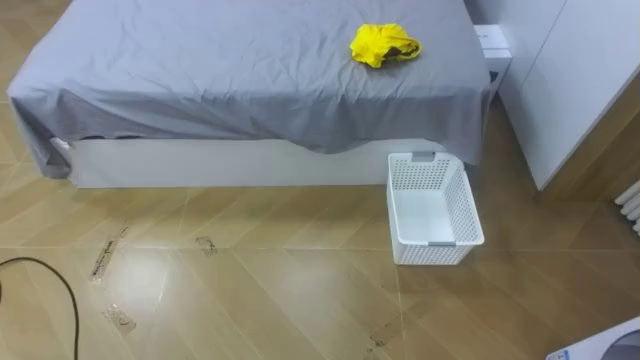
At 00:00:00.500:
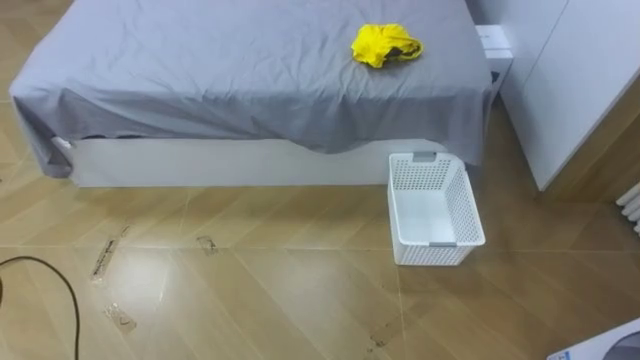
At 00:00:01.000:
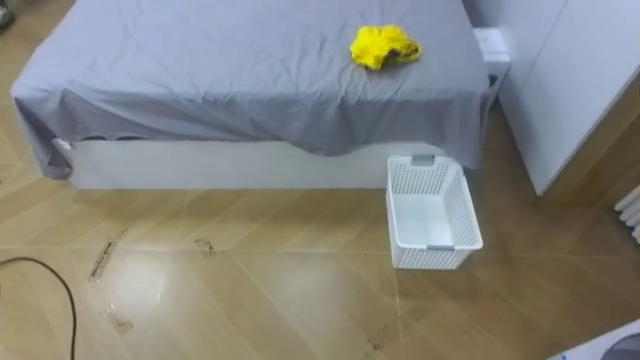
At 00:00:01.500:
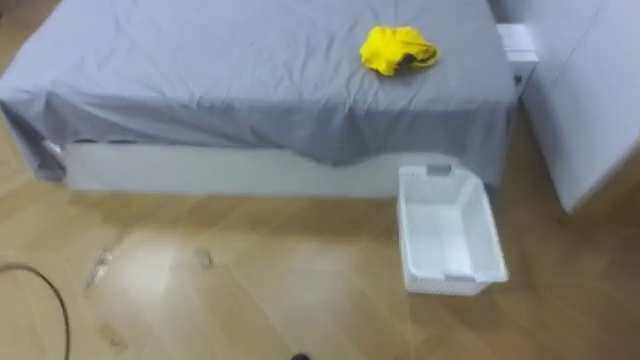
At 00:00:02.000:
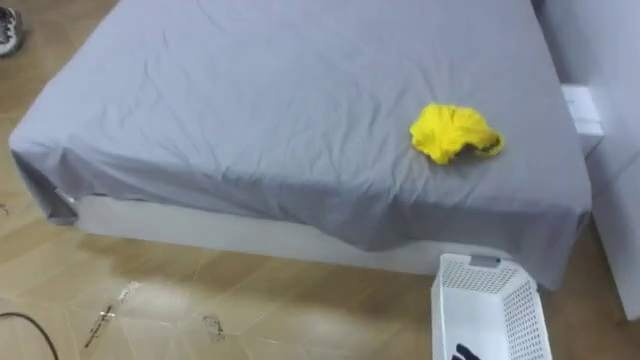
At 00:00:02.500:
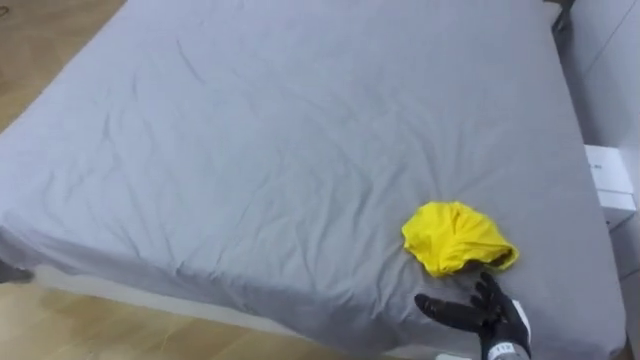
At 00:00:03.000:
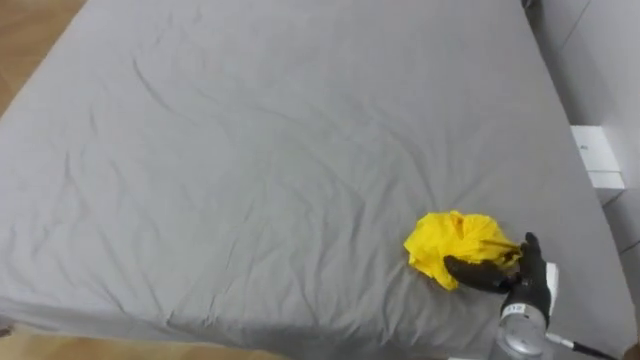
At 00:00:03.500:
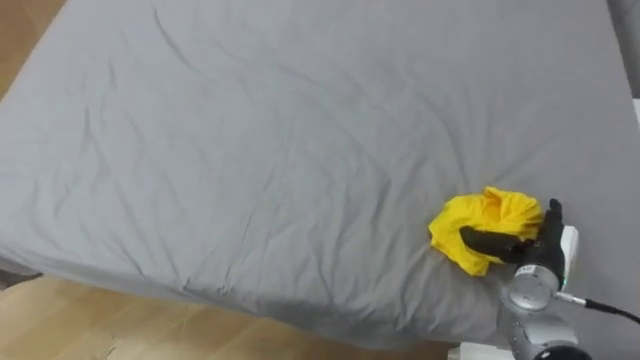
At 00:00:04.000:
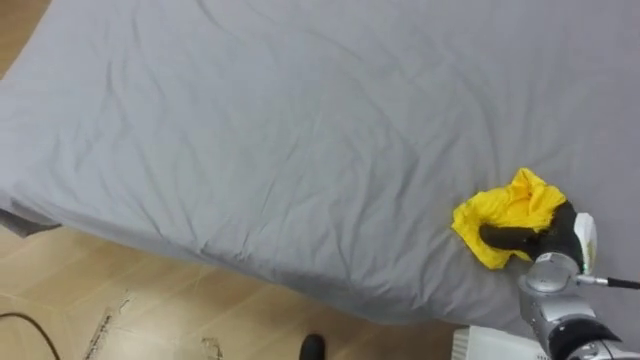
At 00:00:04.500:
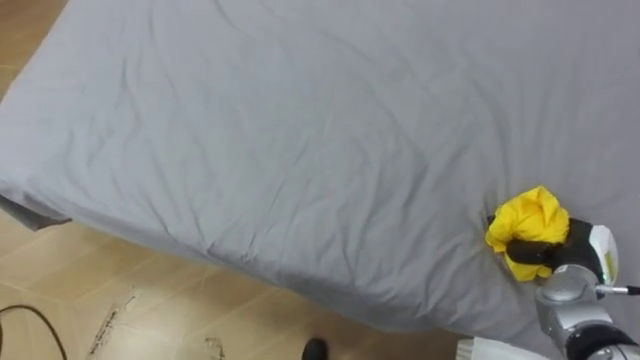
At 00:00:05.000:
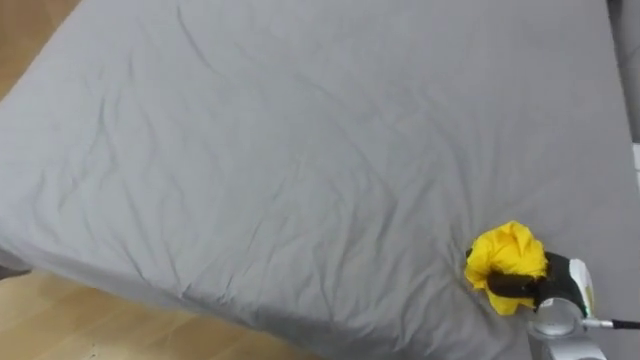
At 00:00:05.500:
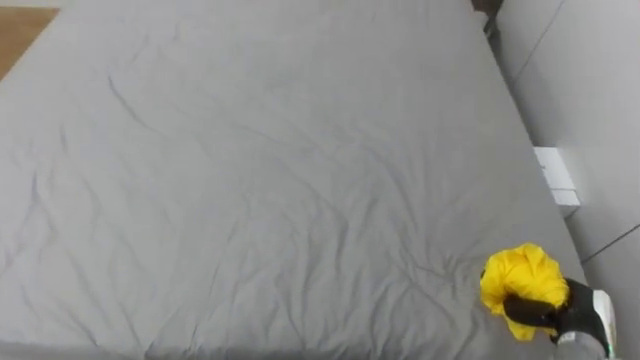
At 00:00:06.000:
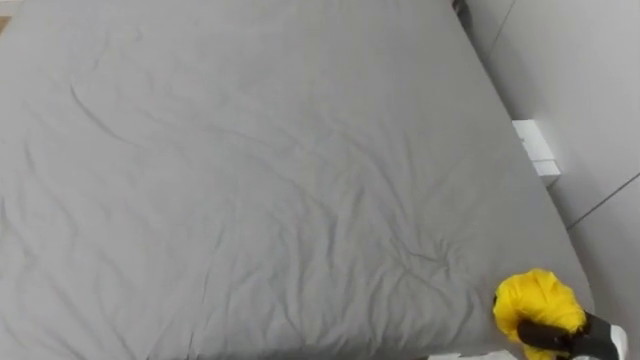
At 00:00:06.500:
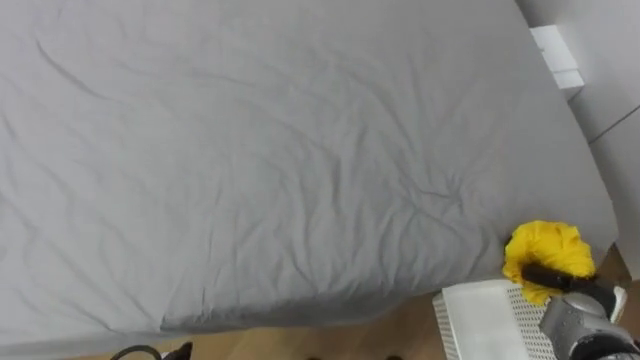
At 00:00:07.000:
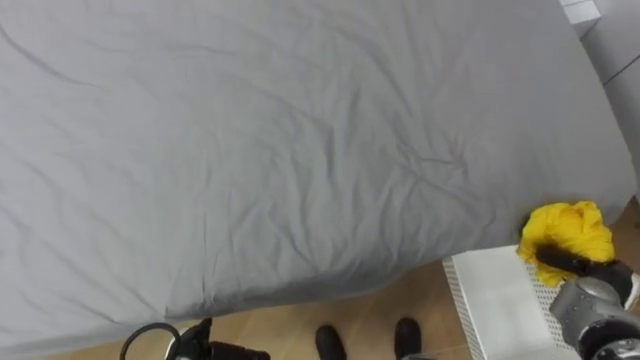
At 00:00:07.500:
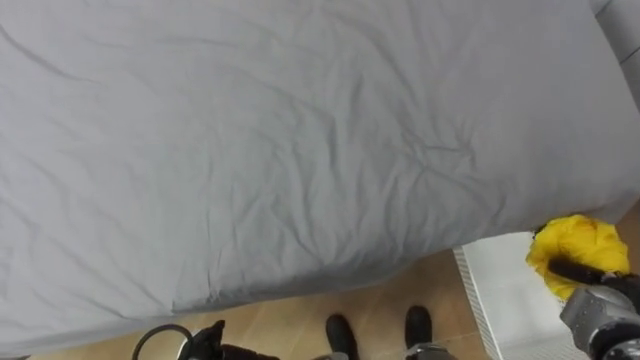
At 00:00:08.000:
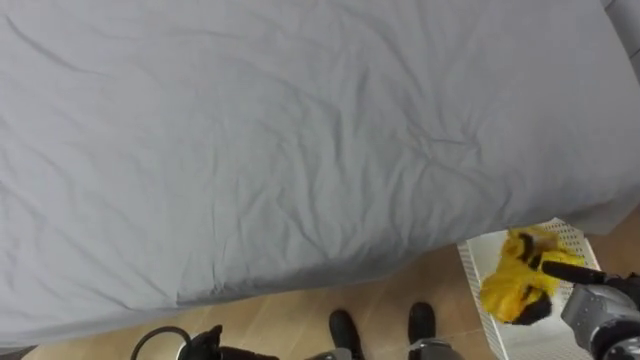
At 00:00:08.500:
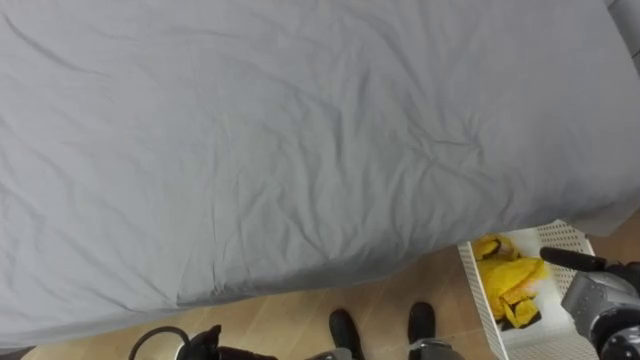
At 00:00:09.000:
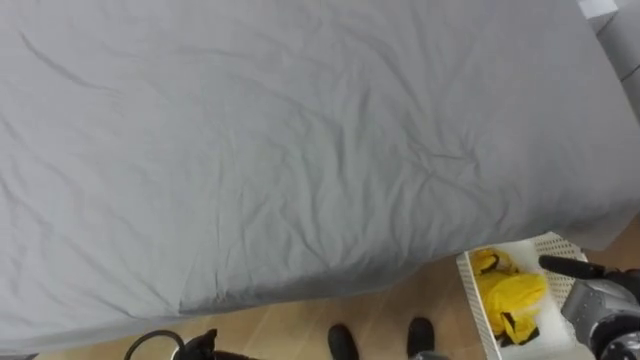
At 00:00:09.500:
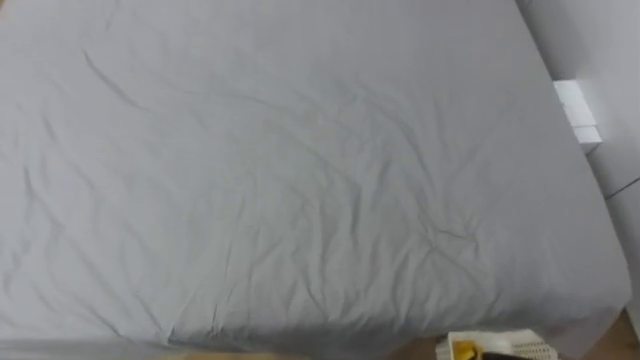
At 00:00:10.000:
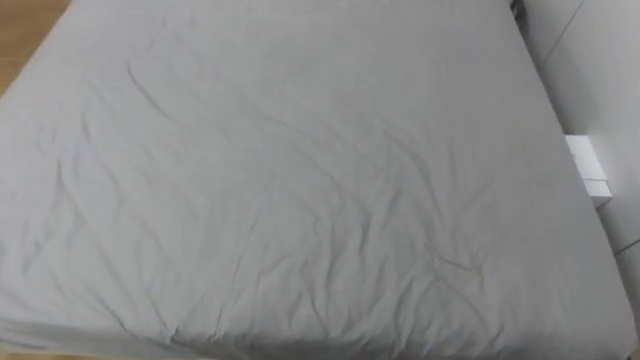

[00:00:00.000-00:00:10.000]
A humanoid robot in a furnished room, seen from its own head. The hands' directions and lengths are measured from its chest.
Task of the whole recording: Pick up the yellow clothes on the bed and place them into the white basket on the right.
00:00:04.000 to 00:00:06.000: The right hand heads backward and downward, covering about 15 cm, and closes.
00:00:06.000 to 00:00:08.000: The right hand goes about 5 cm forward, and opens.

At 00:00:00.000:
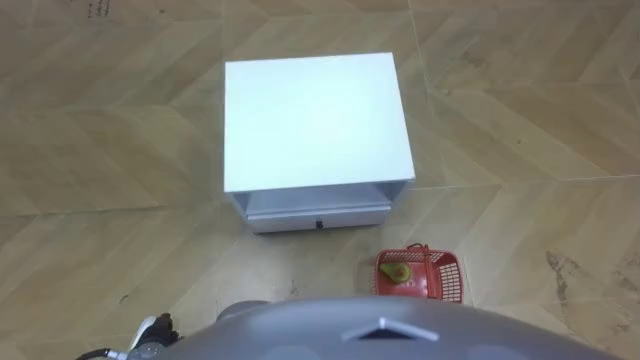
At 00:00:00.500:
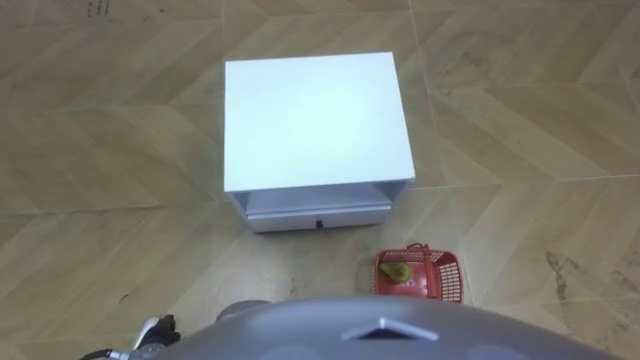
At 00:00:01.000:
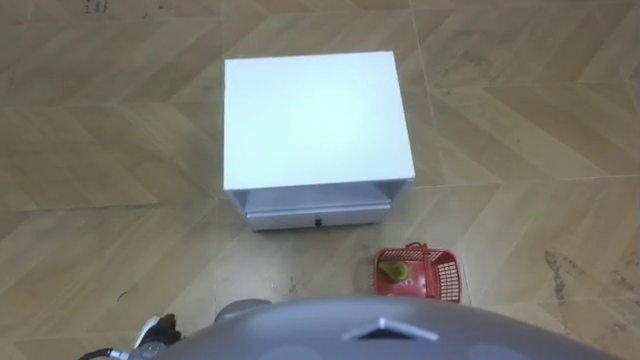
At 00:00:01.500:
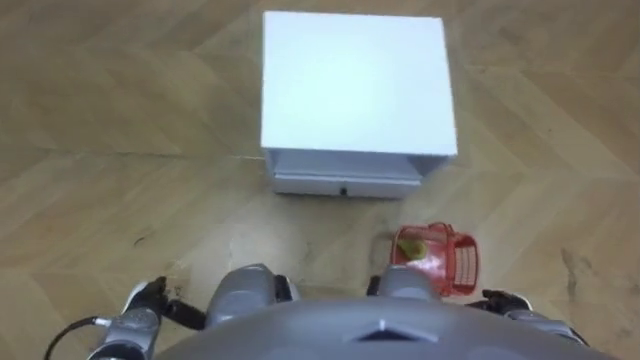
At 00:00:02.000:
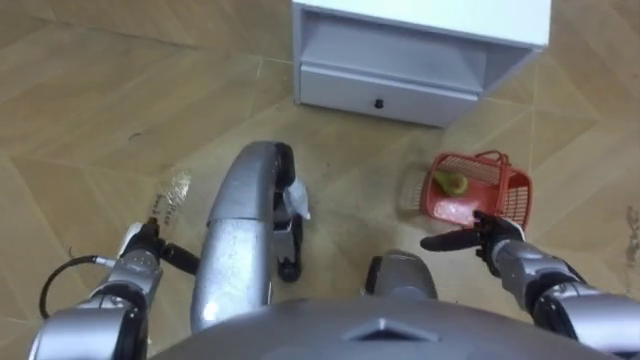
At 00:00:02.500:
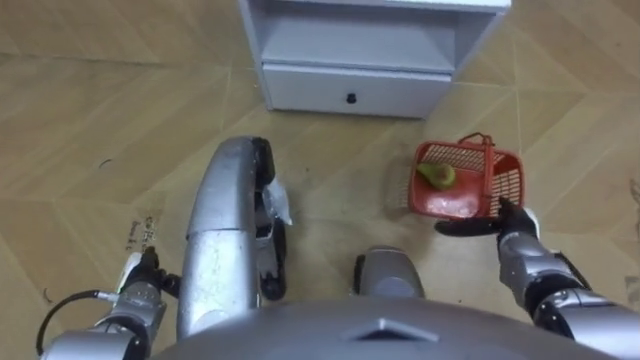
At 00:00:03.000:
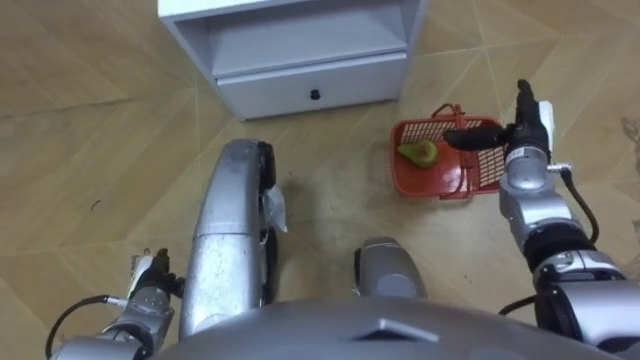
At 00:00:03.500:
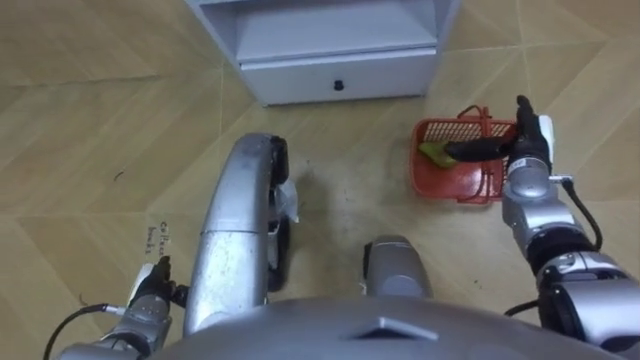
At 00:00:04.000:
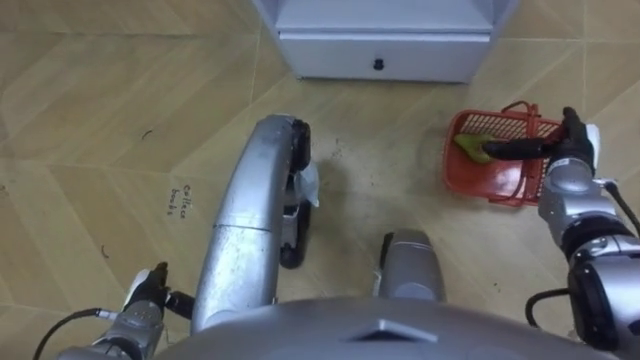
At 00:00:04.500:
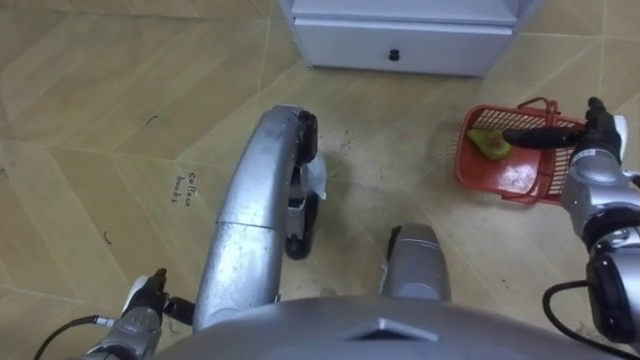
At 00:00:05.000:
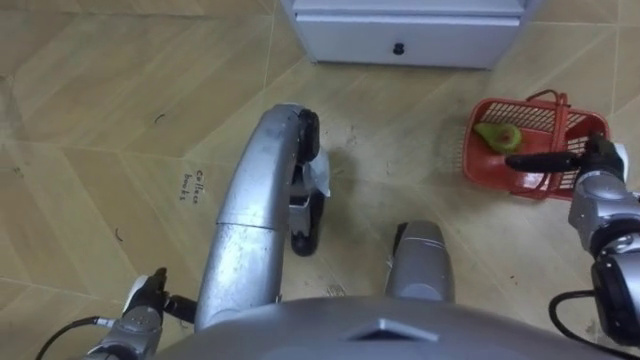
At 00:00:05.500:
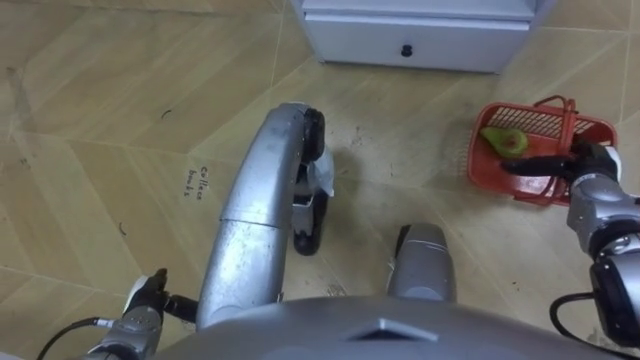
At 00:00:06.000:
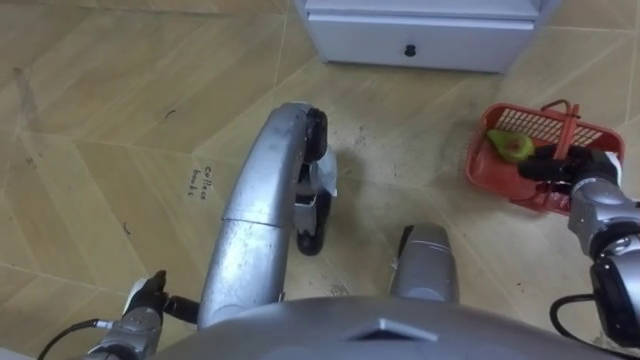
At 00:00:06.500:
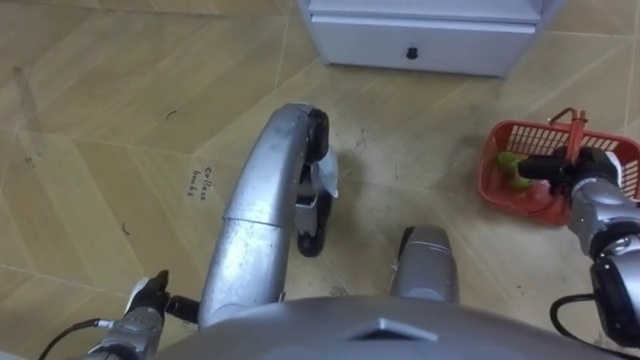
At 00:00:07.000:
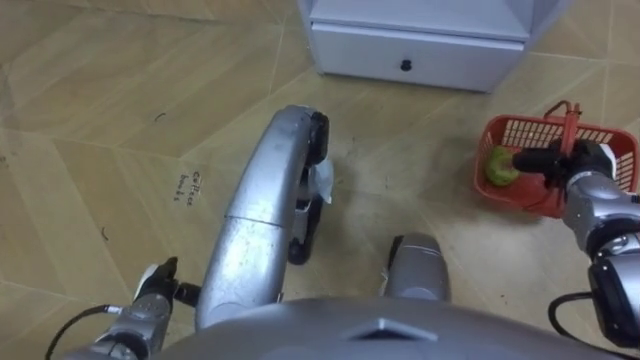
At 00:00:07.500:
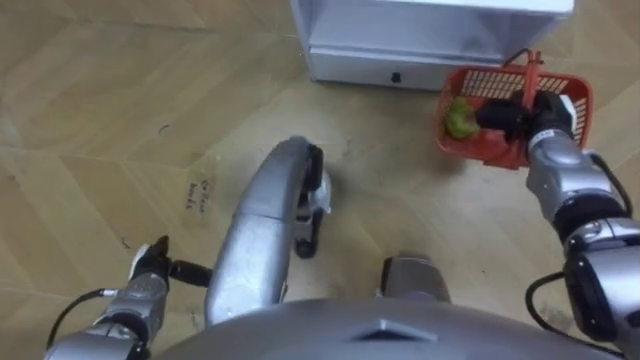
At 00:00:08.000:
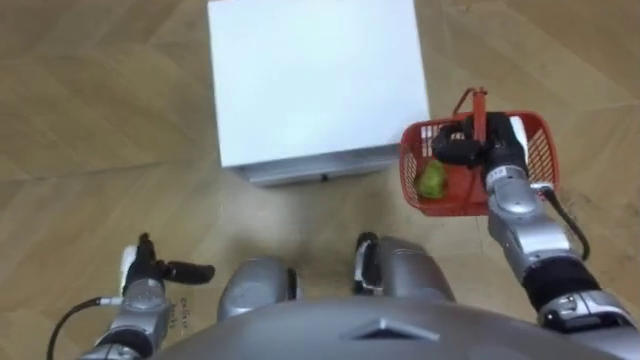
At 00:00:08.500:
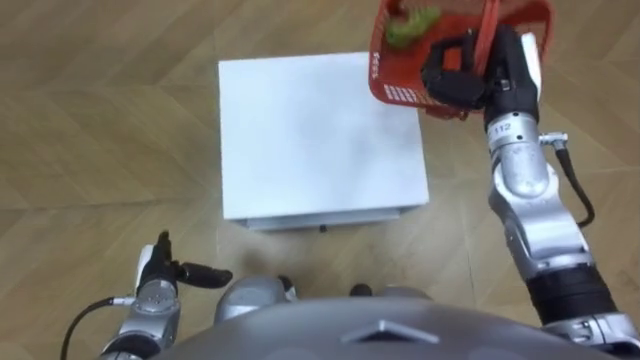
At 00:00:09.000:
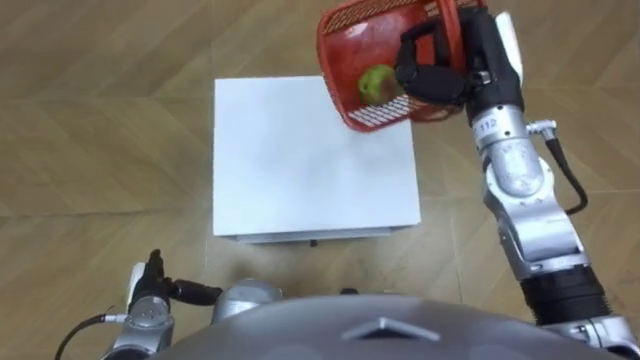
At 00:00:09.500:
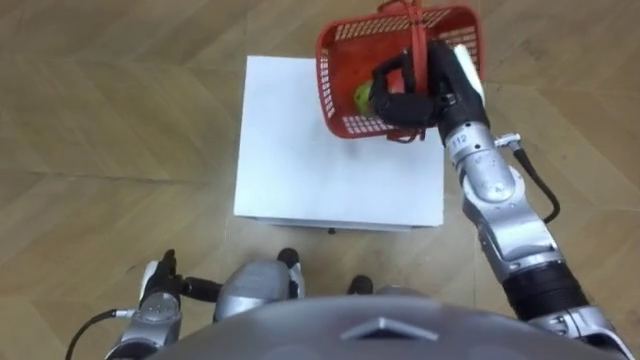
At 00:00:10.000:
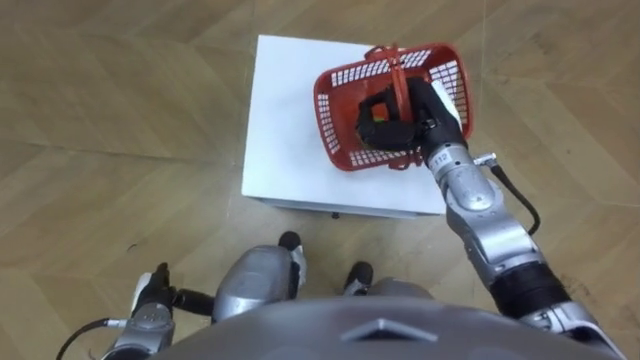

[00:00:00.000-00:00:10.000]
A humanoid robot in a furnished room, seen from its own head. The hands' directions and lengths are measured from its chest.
Task of the whole recording: Pick up the fruit basket from the floor and place it on the cabinet.
00:00:02.000 to 00:00:04.000: The right hand moves forward, upward and to the right, about 15 cm, while the left hand heads backward, covering roughly 10 cm.
00:00:04.000 to 00:00:06.000: The right hand closes its fingers.
00:00:06.000 to 00:00:08.000: The robot's body swings about 15 degrees to its right. The right hand travels to the left by approximately 10 cm. Meanwhile the left hand ends up some 5 cm from where it was.
00:00:08.000 to 00:00:10.000: The right hand goes roughly 10 cm to the left and upward.
